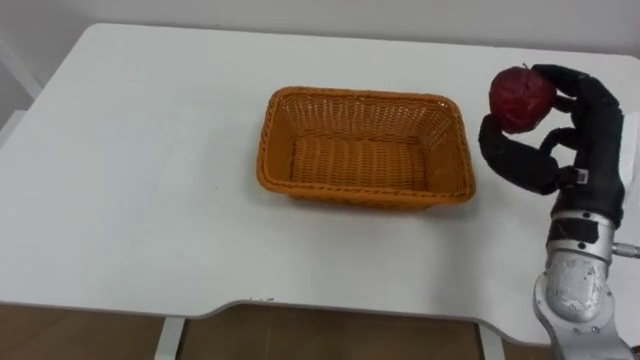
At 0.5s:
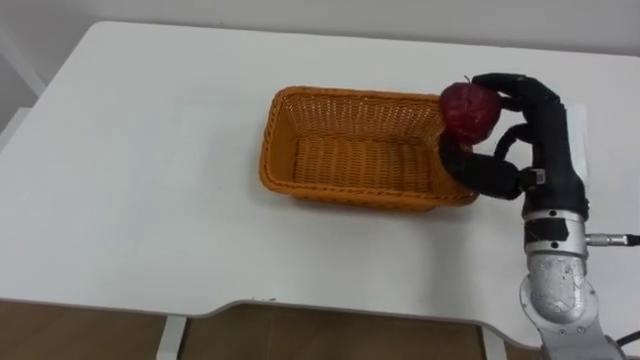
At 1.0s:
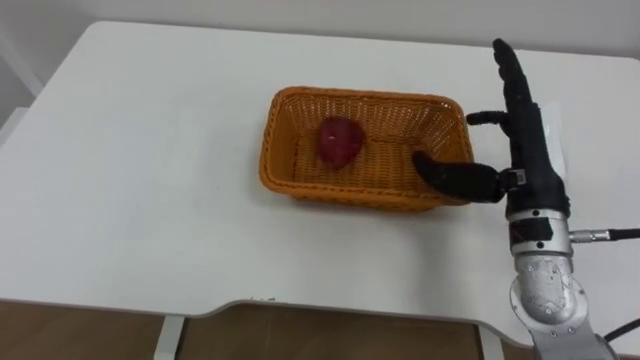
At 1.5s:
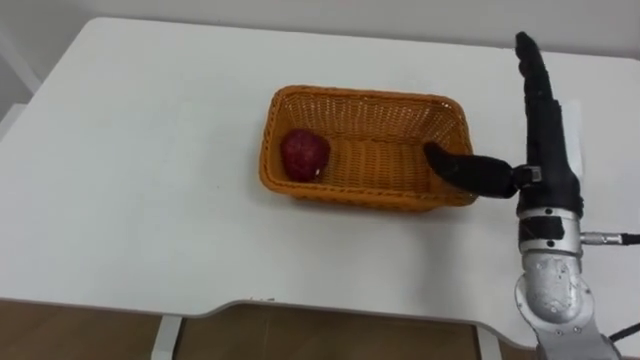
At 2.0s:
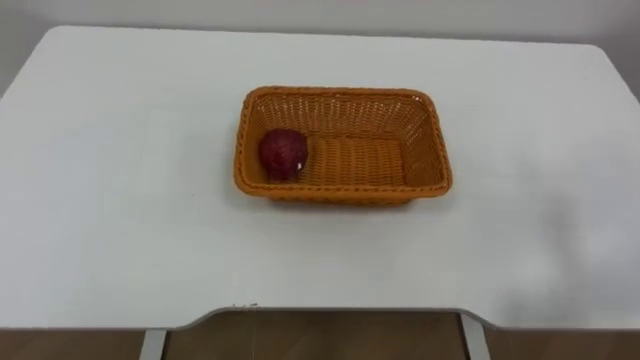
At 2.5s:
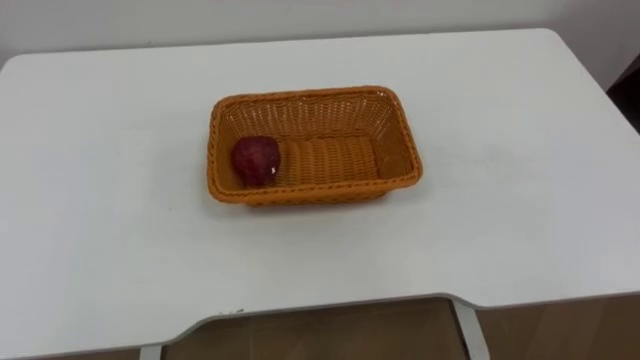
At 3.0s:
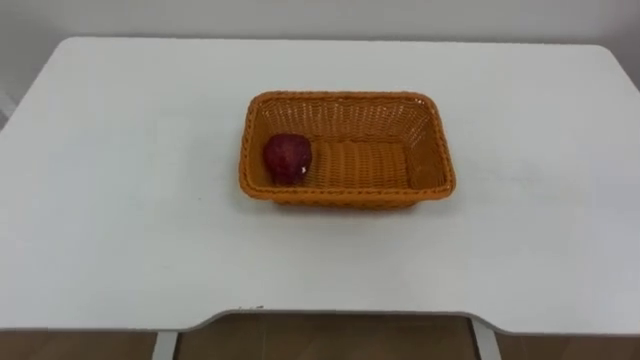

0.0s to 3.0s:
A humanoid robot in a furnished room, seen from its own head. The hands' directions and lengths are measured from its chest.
Task of the whole recording: Pick the apple and place it in the box.
0.0s to 1.5s: The right hand opens.

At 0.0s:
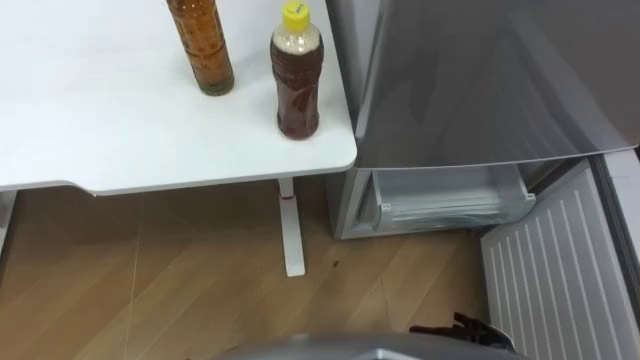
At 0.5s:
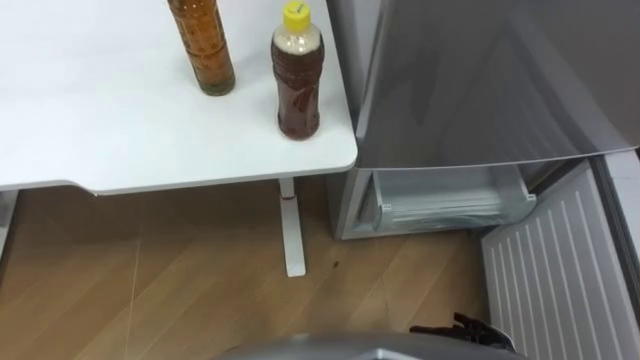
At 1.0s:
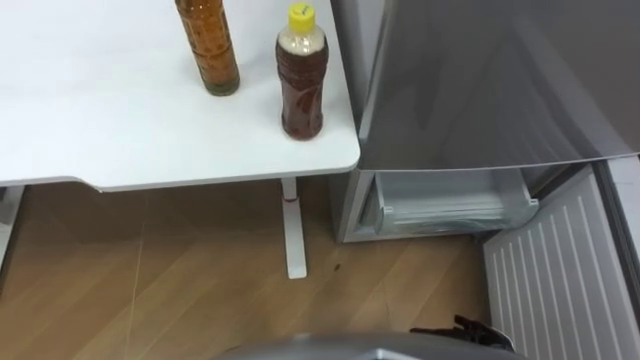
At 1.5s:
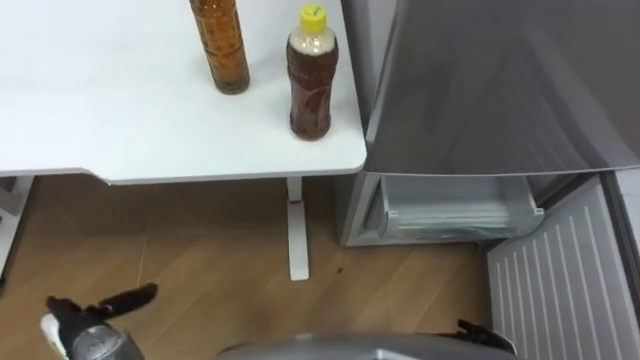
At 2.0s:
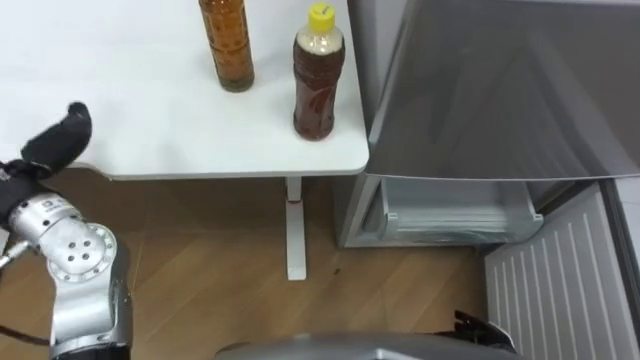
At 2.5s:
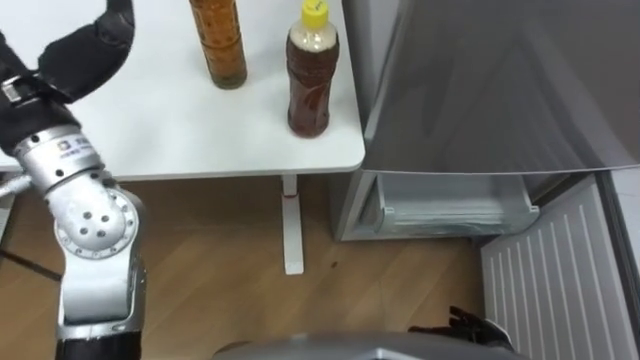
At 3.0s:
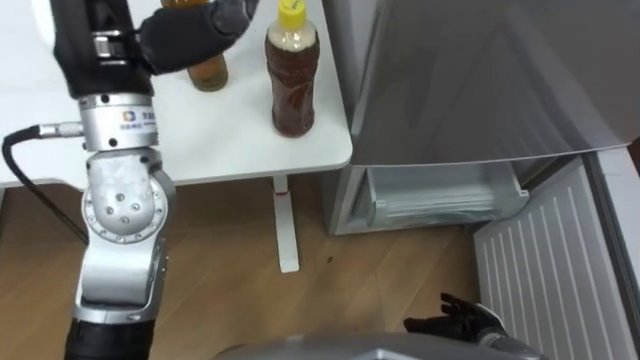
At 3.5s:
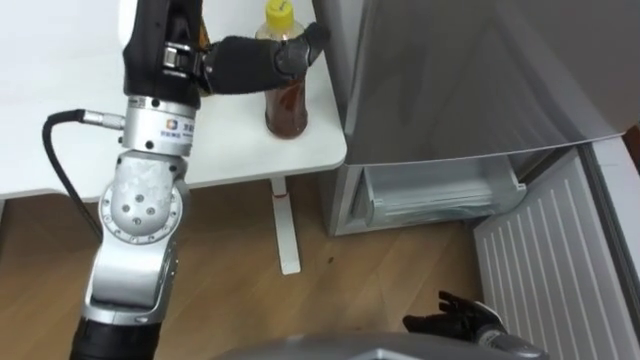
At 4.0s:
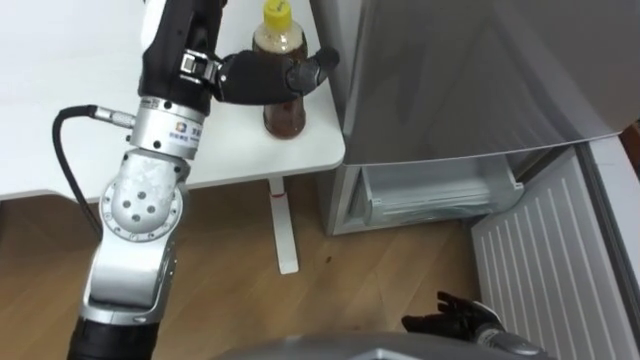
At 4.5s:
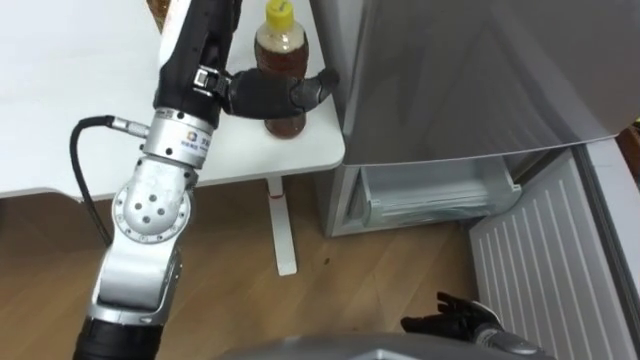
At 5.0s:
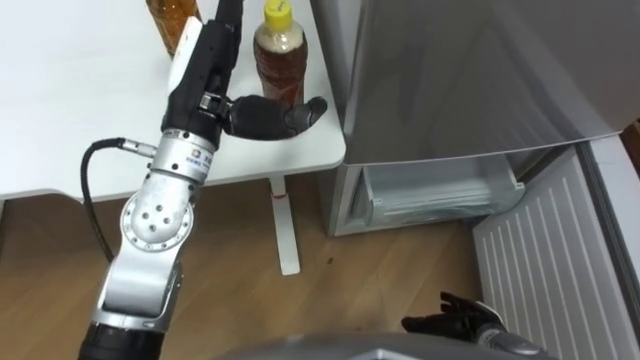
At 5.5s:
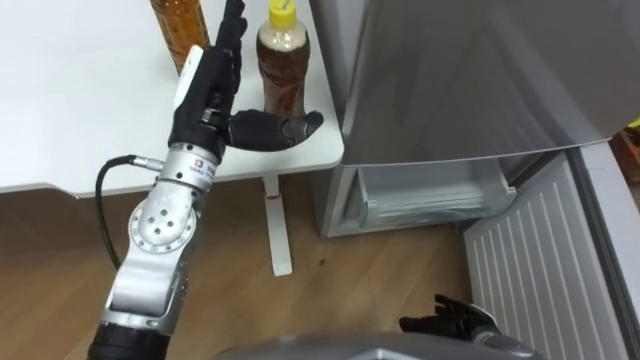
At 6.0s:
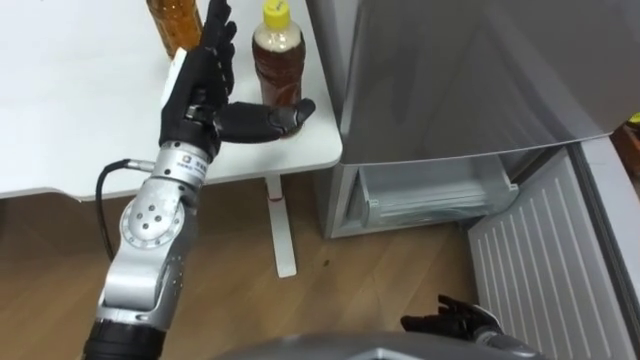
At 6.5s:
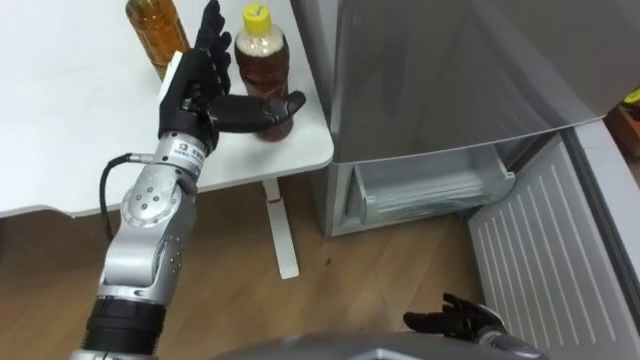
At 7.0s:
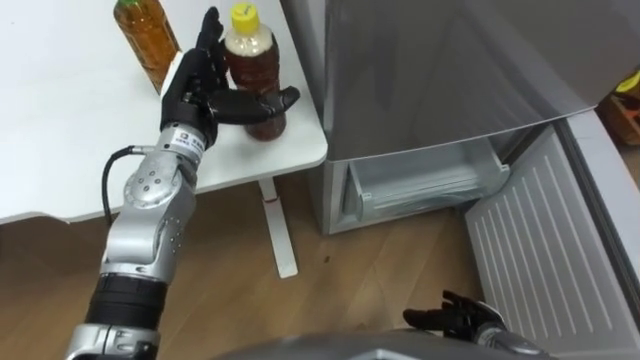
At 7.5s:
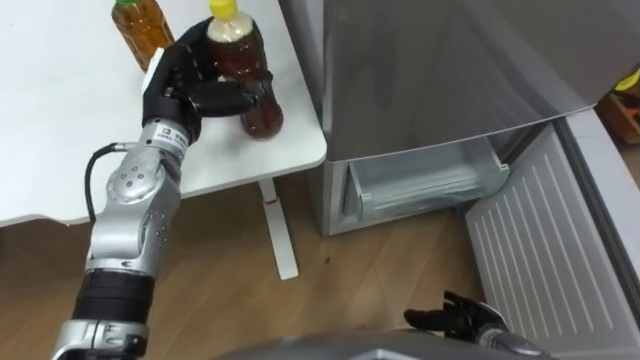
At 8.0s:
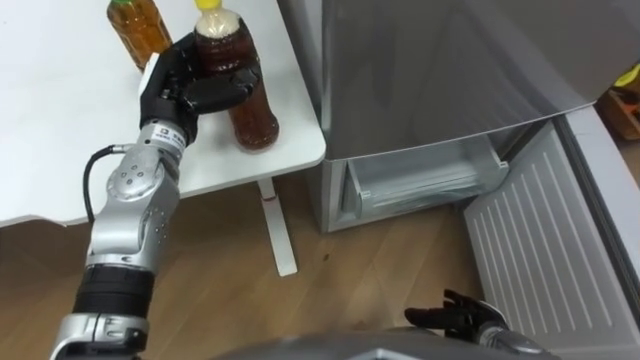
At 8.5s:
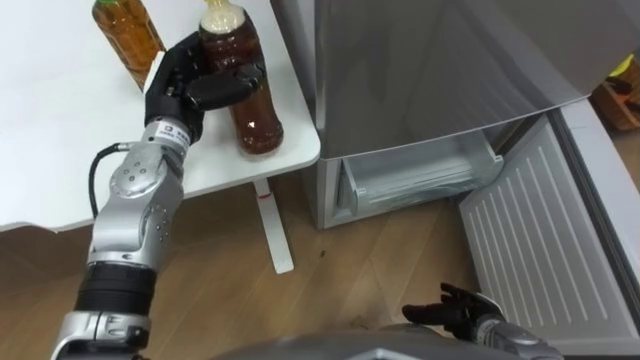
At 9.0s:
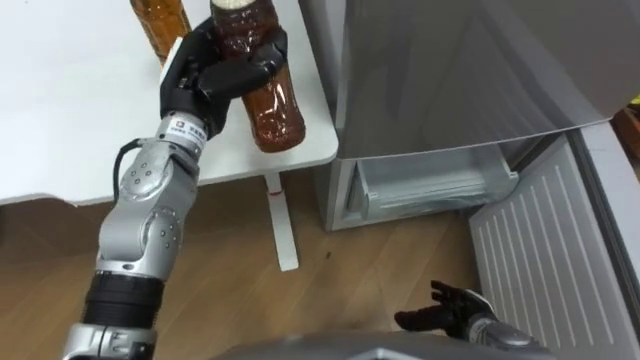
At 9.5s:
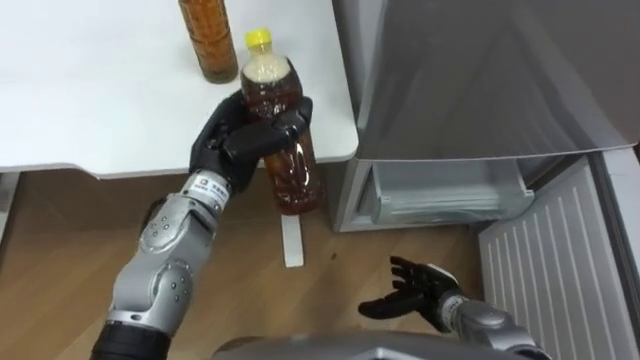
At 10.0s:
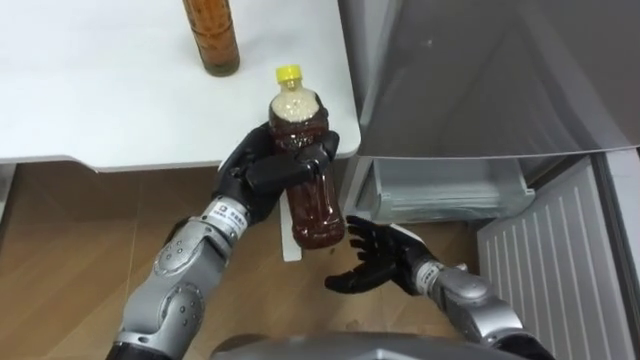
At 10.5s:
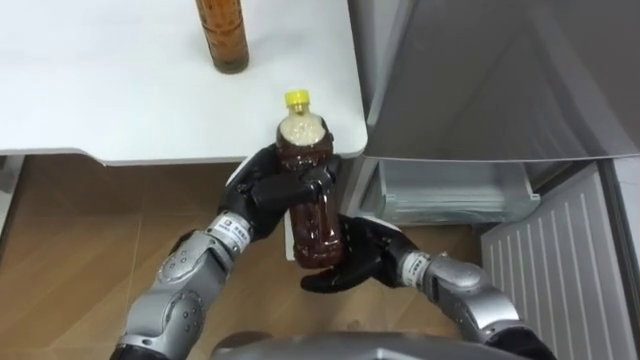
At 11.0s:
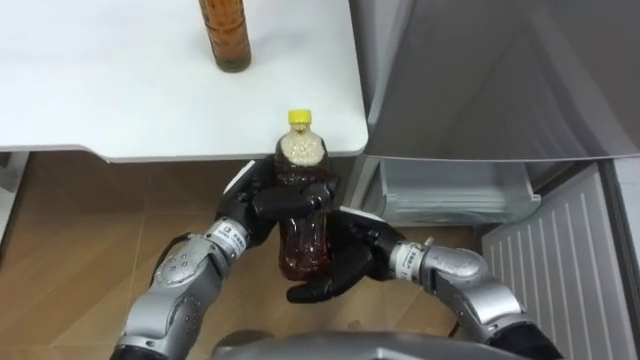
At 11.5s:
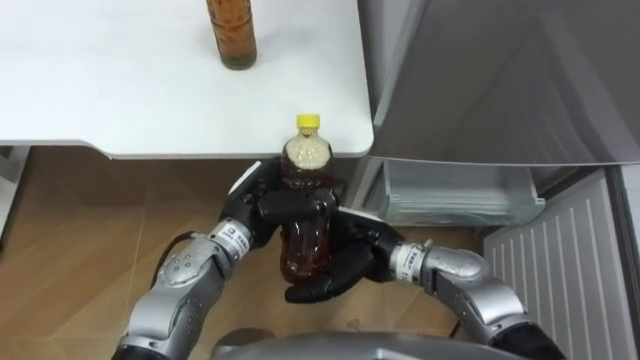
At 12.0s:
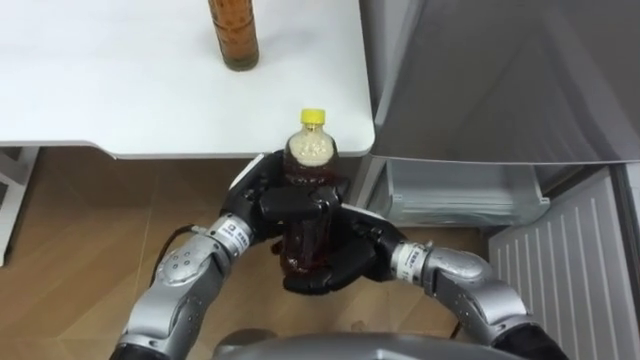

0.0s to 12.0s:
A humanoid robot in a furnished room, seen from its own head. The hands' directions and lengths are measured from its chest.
Task of the whole recording: Place the drink on the table on the bottom shelf of the refrigerator, then close the drawer and the refrigerator door.
4.0s to 6.0s: The left hand travels downward by about 10 cm.
6.0s to 8.0s: The left hand changes place by approximately 5 cm, and closes up.
8.0s to 10.0s: The left hand goes approximately 15 cm to the right and backward. Meanwhile the right hand moves to the left, forward and upward, about 15 cm.
10.0s to 12.0s: The right hand heads upward and to the left, covering about 10 cm.

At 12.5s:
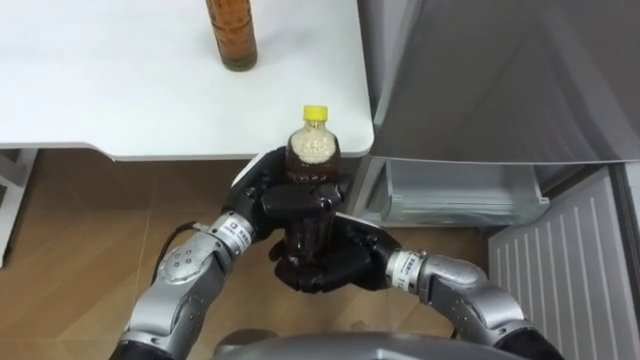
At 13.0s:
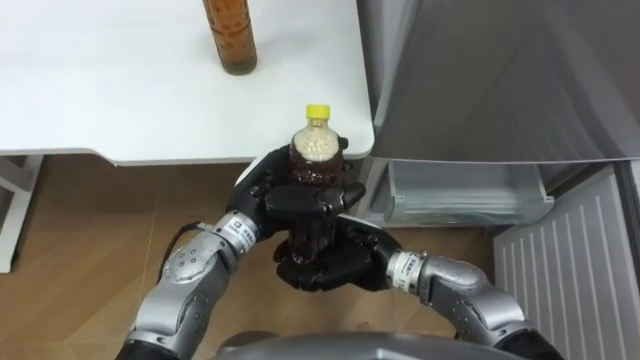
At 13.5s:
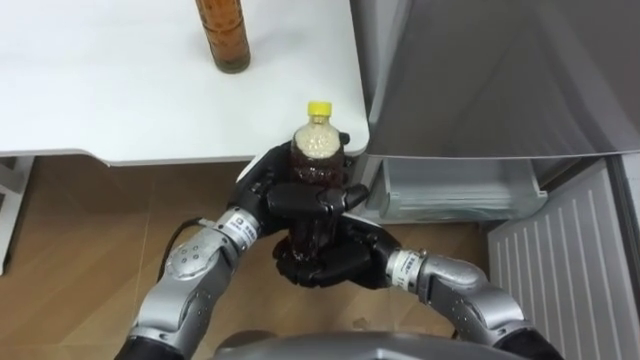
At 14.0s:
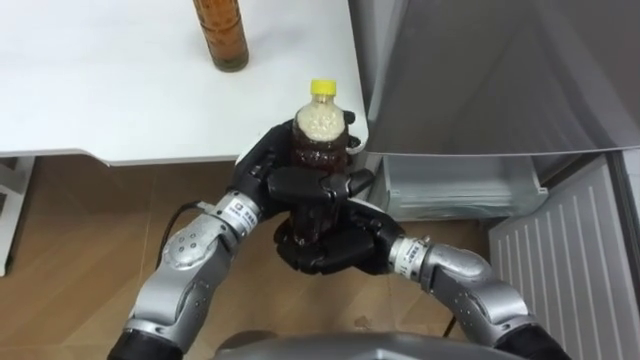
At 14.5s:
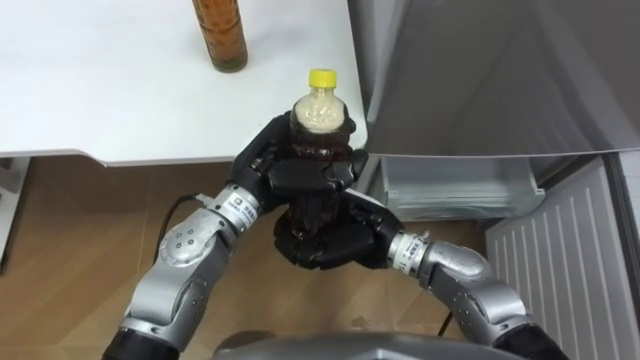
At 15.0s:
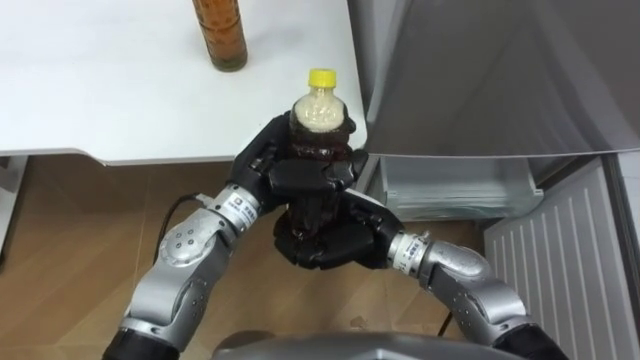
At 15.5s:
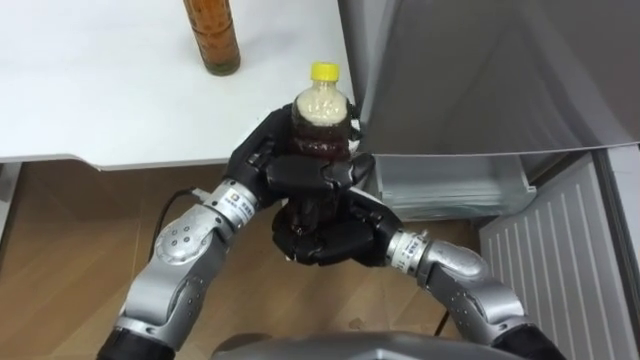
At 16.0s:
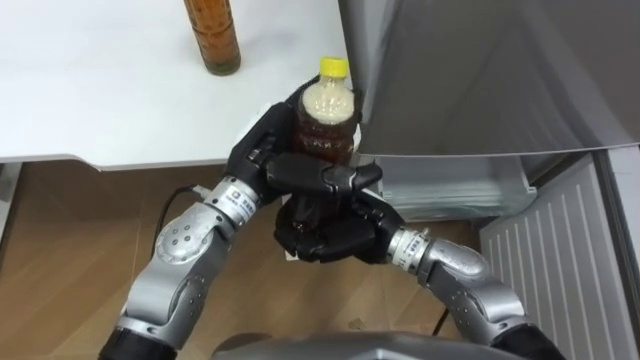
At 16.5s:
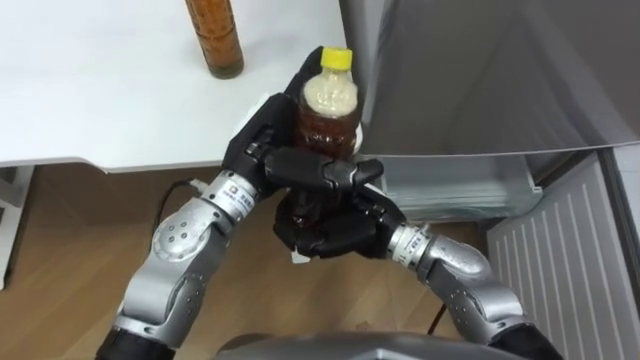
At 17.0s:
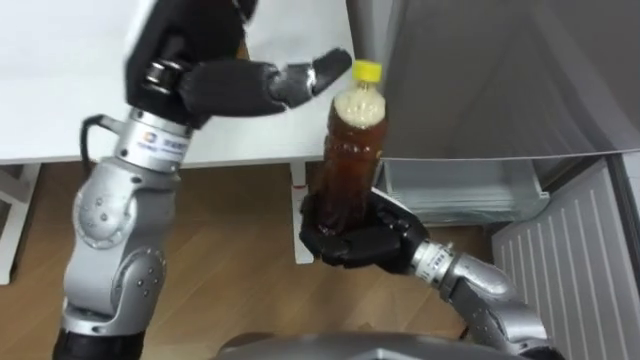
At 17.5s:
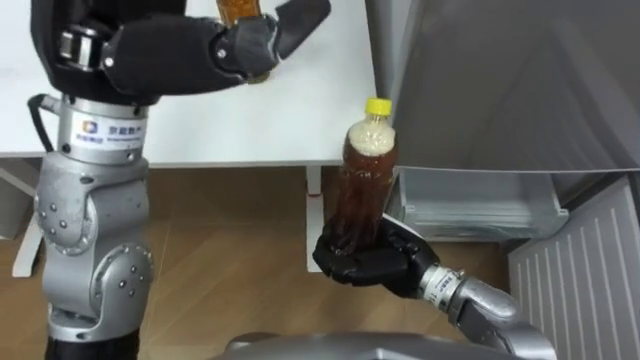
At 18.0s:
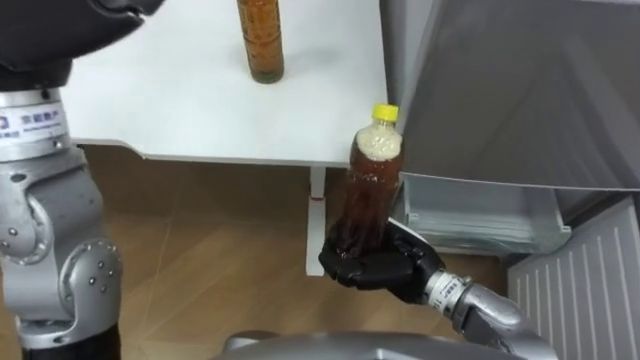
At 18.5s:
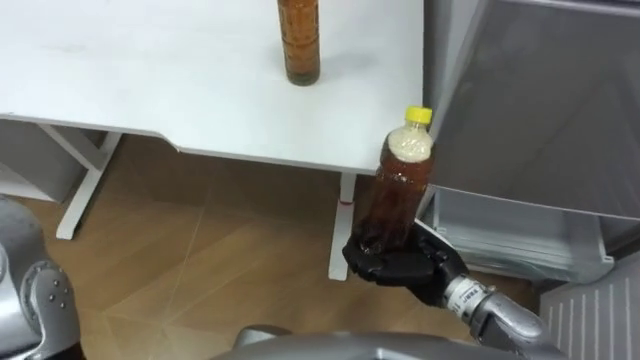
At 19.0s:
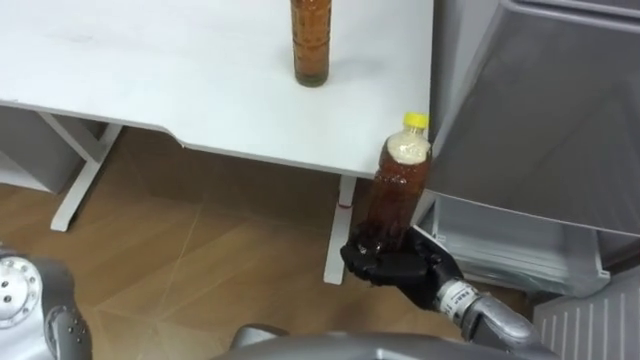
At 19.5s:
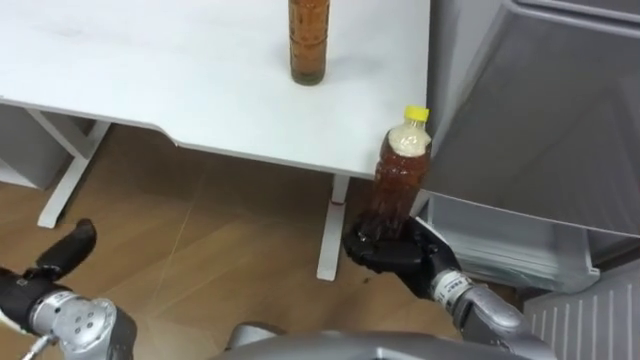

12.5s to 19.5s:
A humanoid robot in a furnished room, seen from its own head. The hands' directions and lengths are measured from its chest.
Task of the whole recording: Place the drink on the table on the bottom shelf of the refrigerator, then close the drawer and the refrigerator door.
12.5s to 14.5s: The left hand ends up some 5 cm from where it was.
14.5s to 16.0s: The left hand opens up.
16.0s to 17.5s: The right hand changes place by some 5 cm, while the left hand travels upward by about 20 cm.
